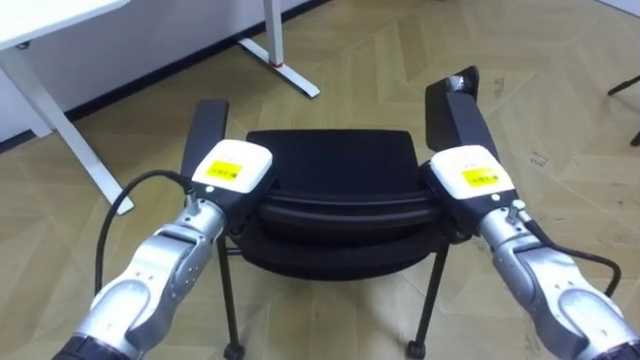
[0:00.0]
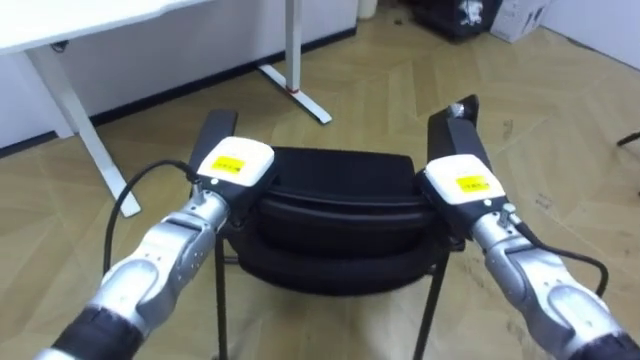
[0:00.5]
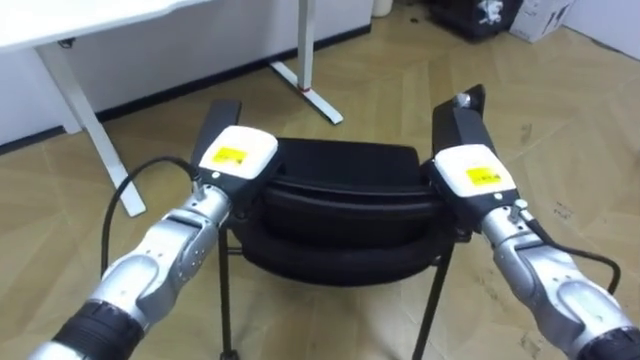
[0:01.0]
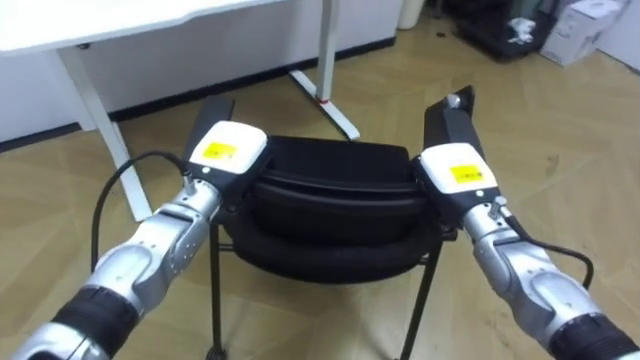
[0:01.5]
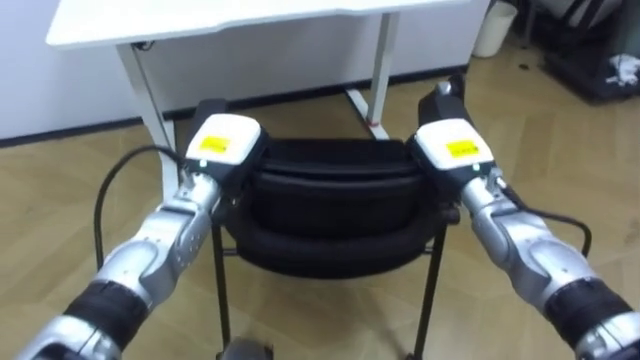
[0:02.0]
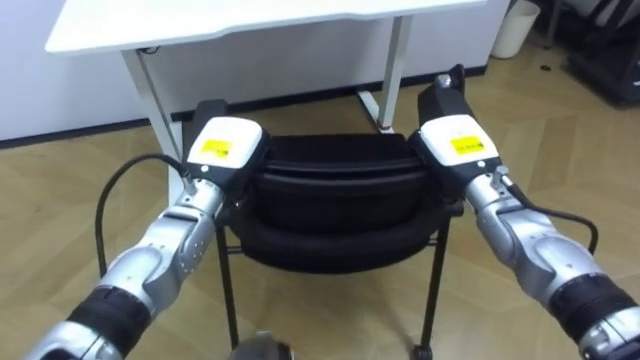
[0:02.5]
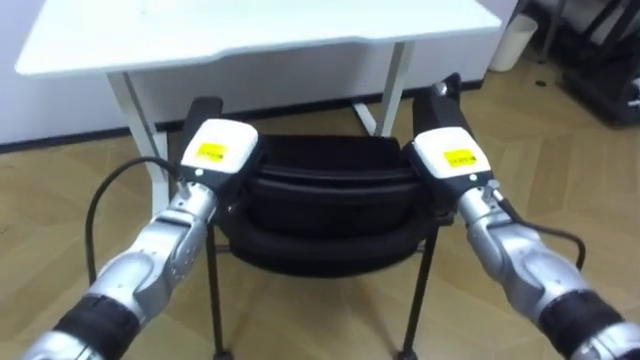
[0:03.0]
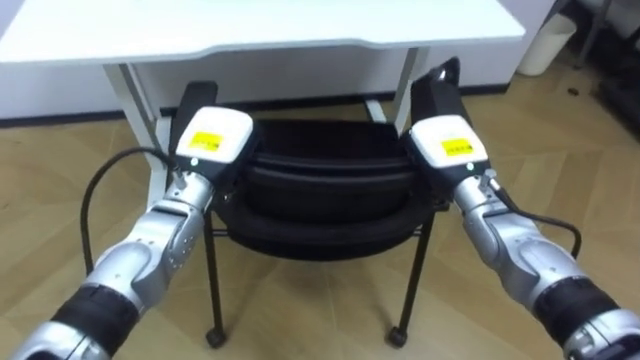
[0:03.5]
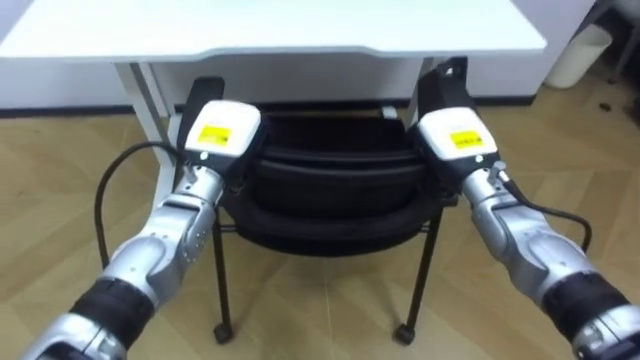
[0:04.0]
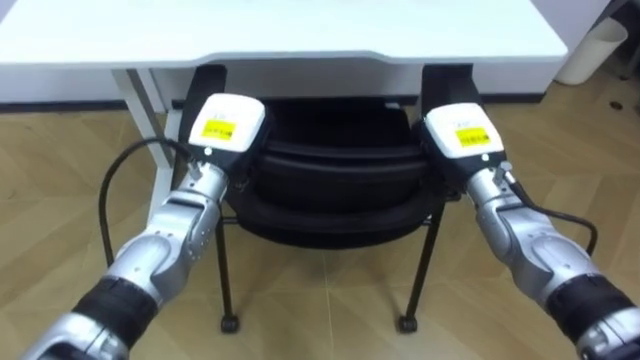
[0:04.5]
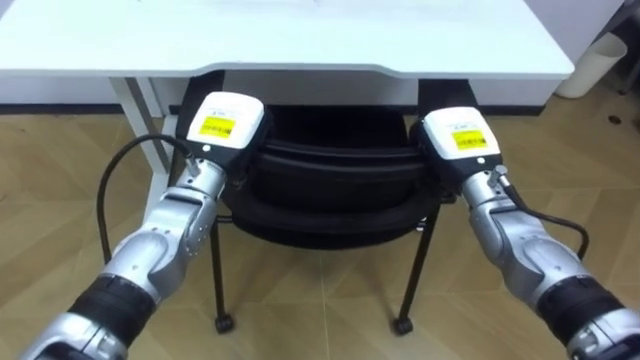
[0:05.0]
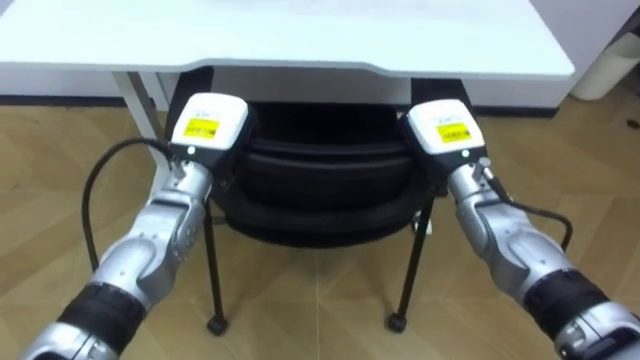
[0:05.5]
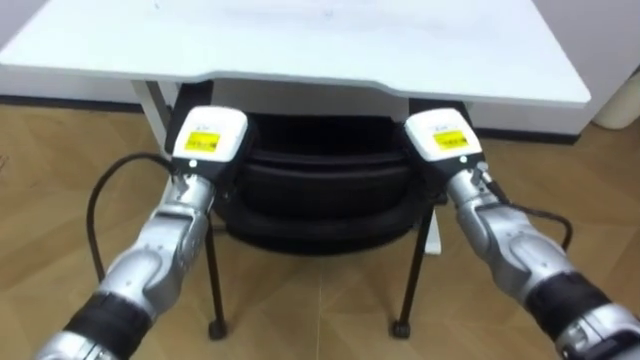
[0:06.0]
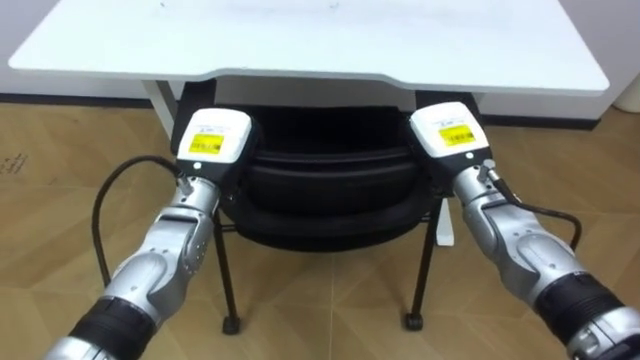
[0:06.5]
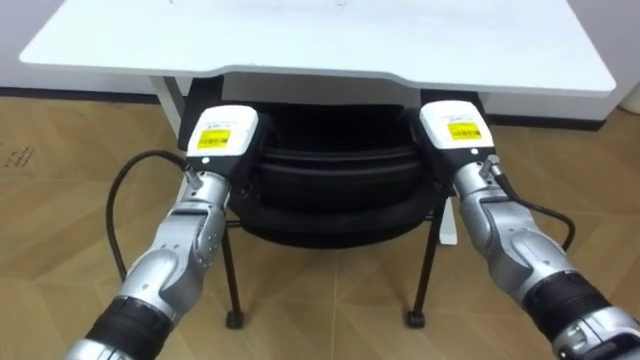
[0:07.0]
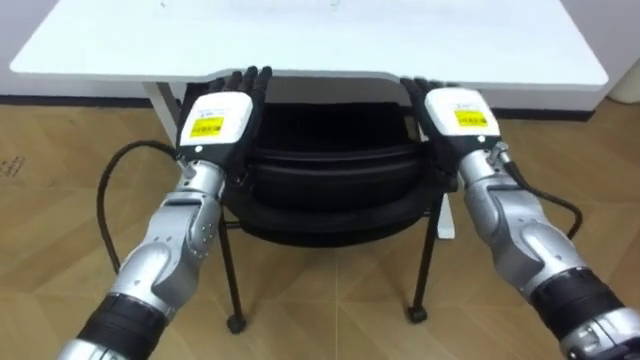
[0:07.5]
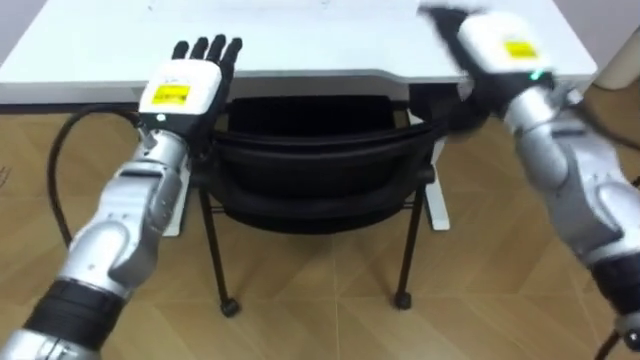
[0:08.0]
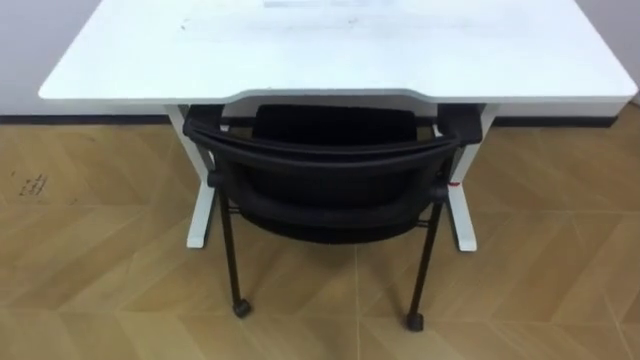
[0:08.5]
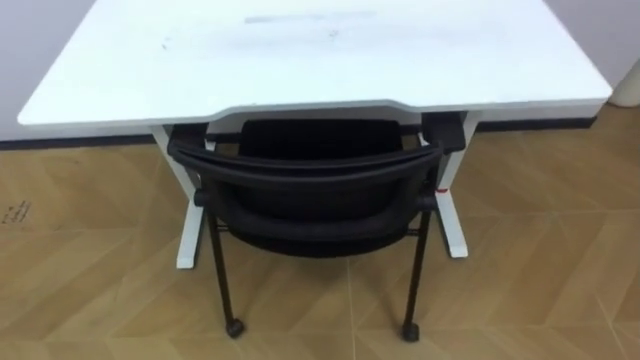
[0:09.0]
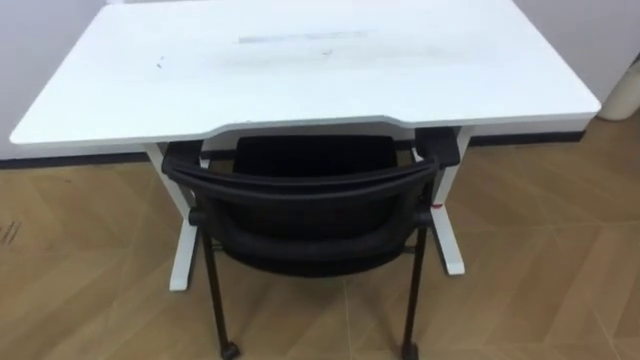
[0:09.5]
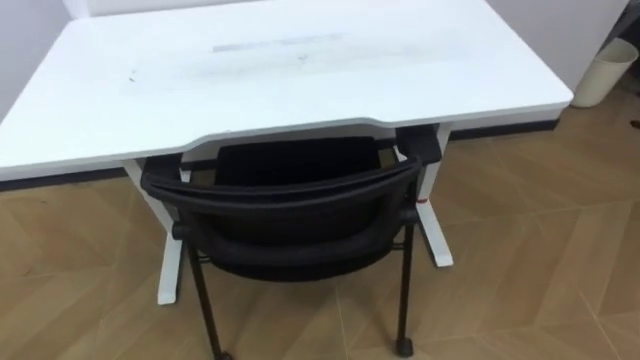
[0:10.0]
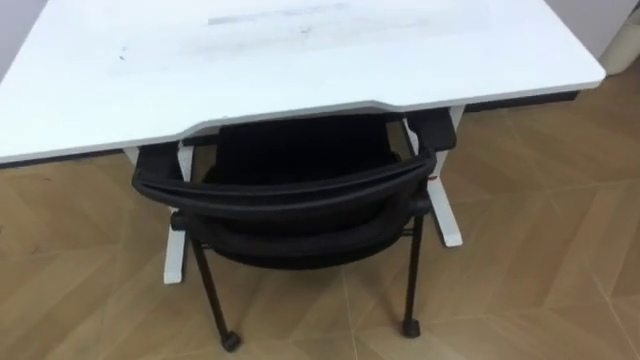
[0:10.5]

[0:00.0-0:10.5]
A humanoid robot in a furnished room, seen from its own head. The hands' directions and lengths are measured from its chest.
Task of the whole recording: Push the chair under the table.
0:00.0 to 0:02.0: The robot turns to its left by approximately 20 degrees.

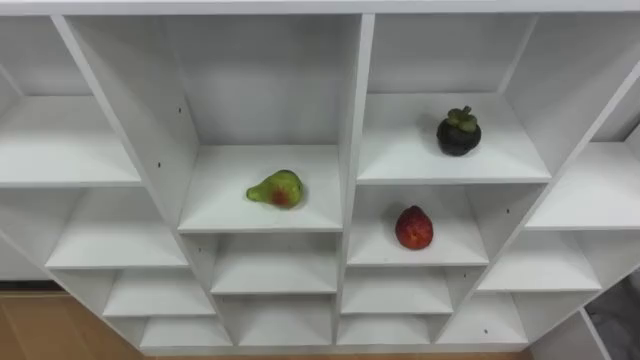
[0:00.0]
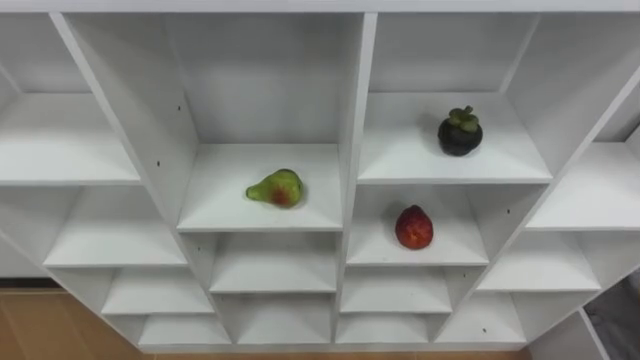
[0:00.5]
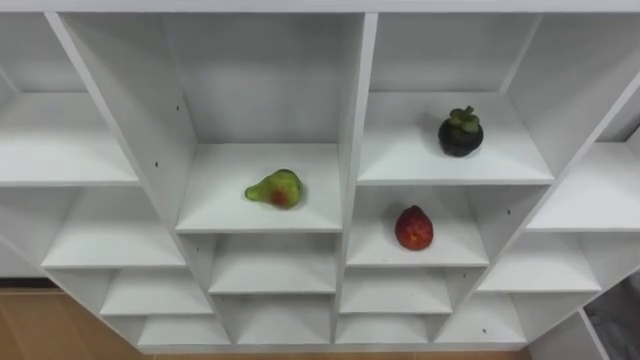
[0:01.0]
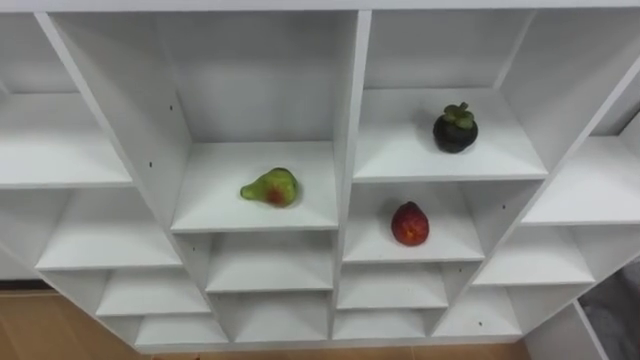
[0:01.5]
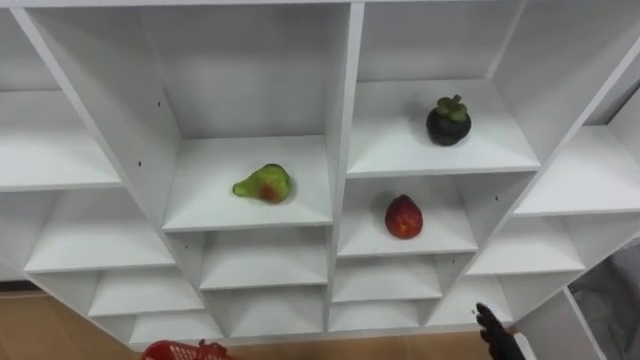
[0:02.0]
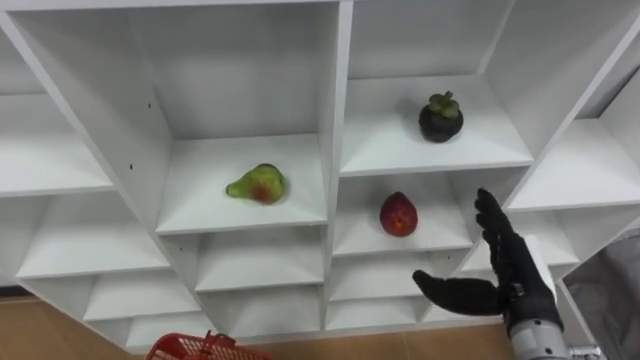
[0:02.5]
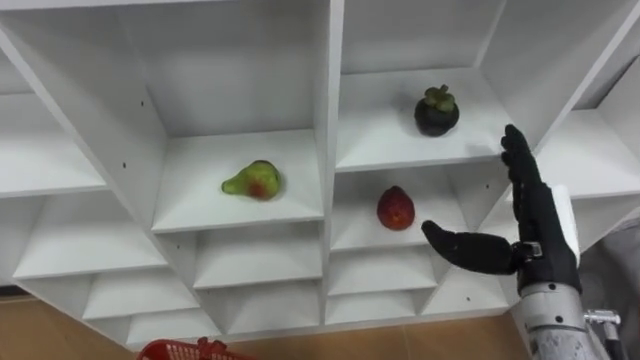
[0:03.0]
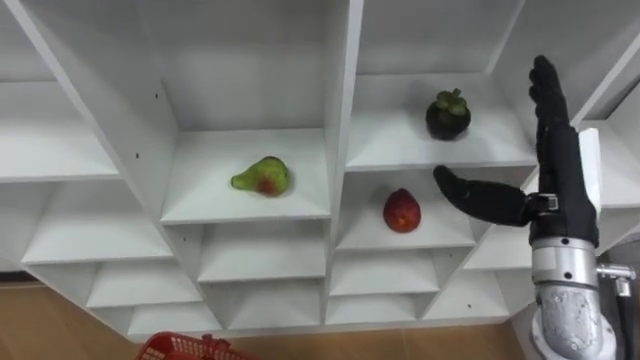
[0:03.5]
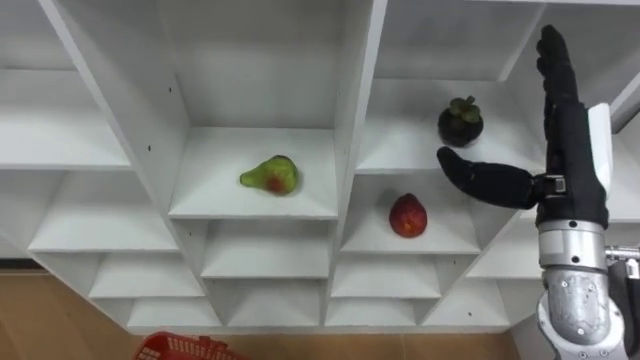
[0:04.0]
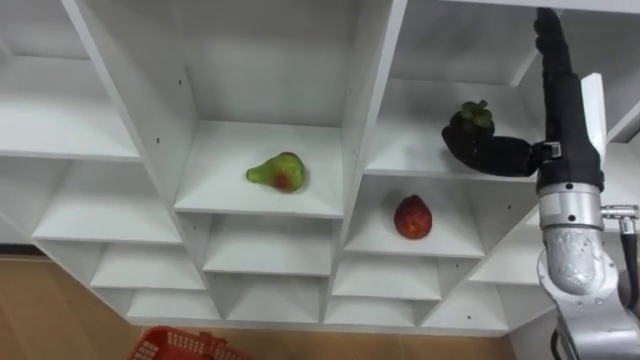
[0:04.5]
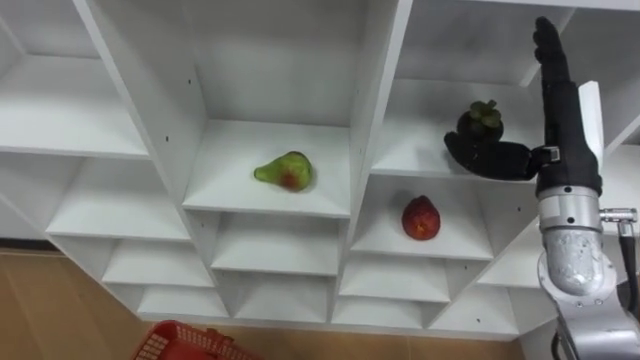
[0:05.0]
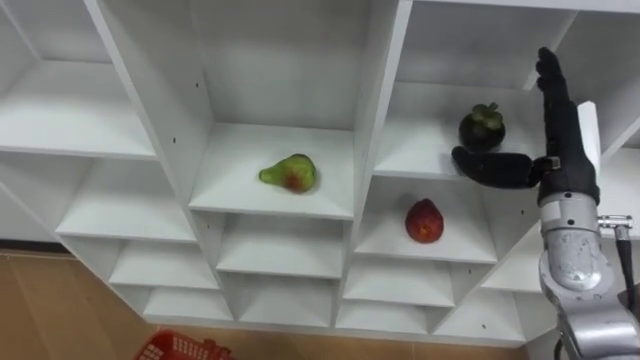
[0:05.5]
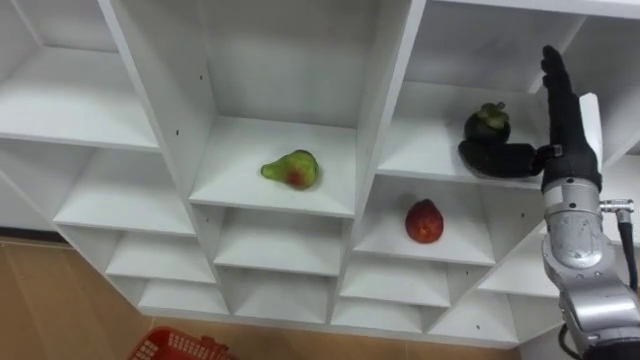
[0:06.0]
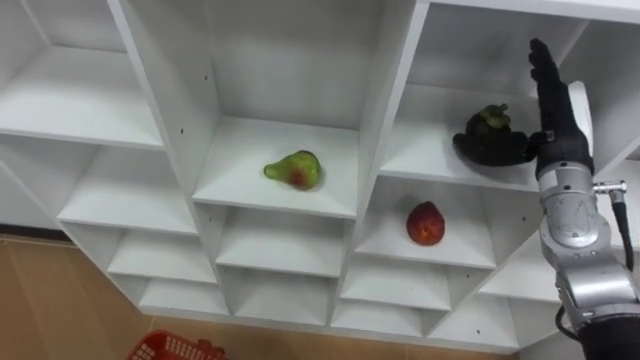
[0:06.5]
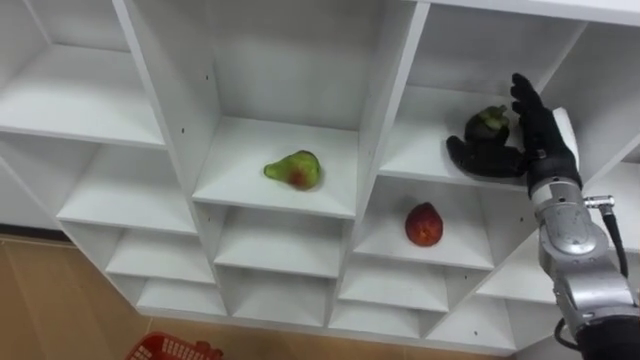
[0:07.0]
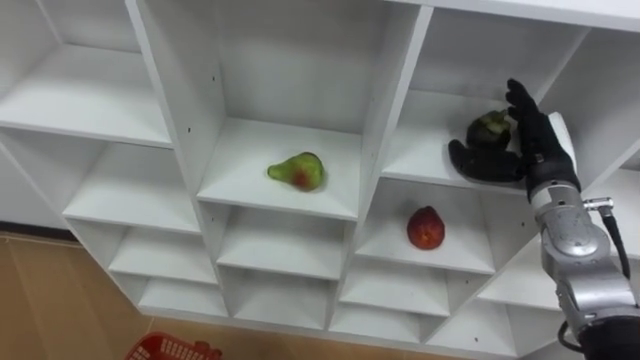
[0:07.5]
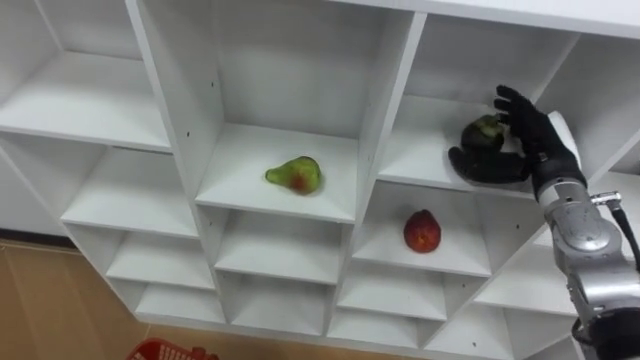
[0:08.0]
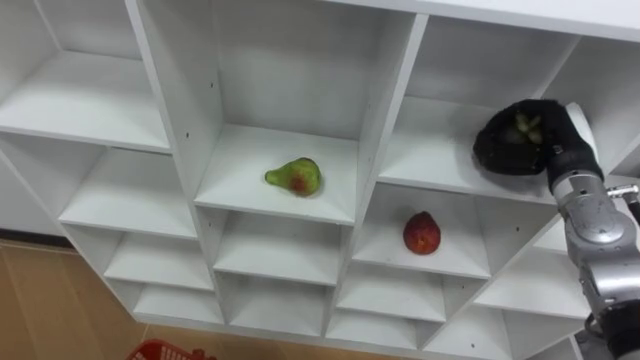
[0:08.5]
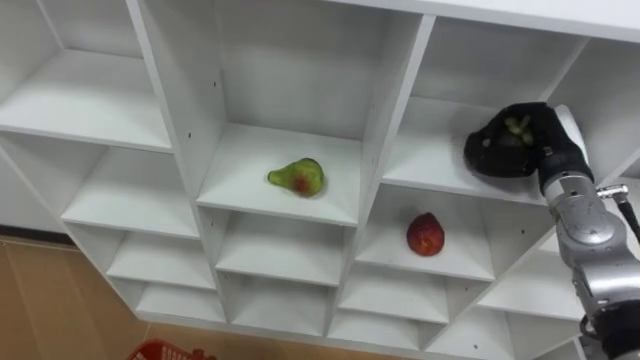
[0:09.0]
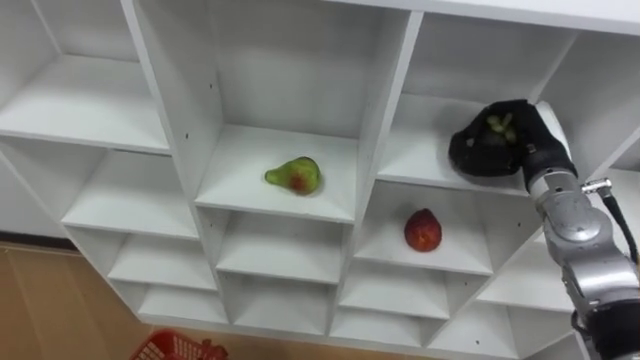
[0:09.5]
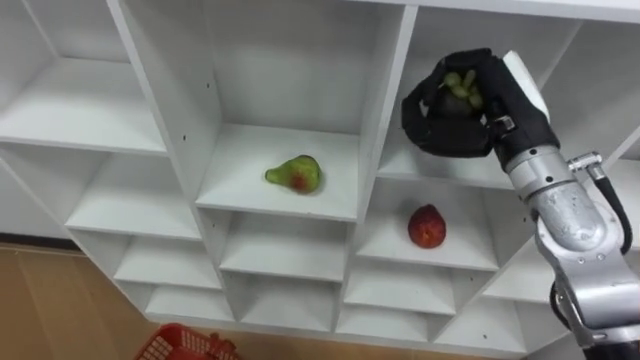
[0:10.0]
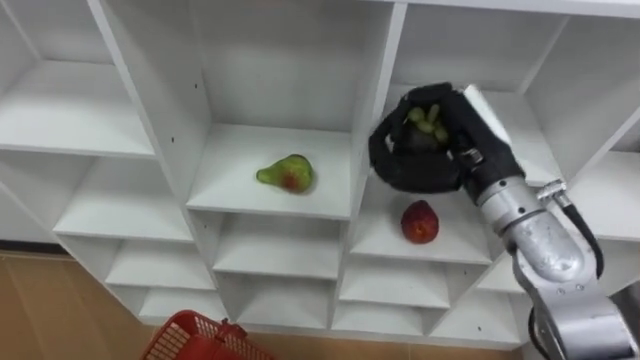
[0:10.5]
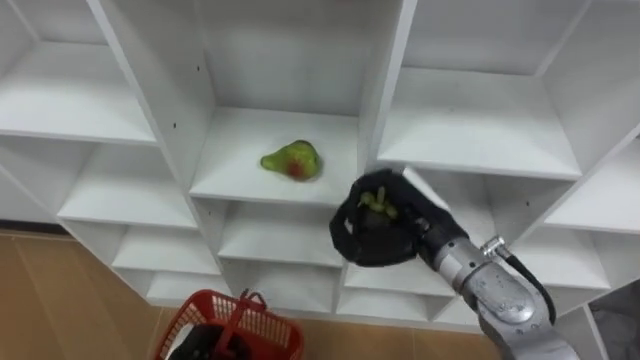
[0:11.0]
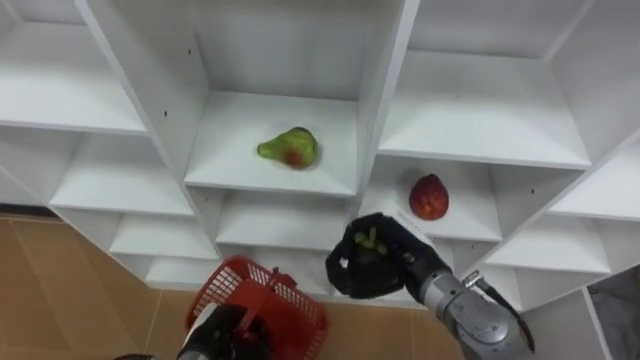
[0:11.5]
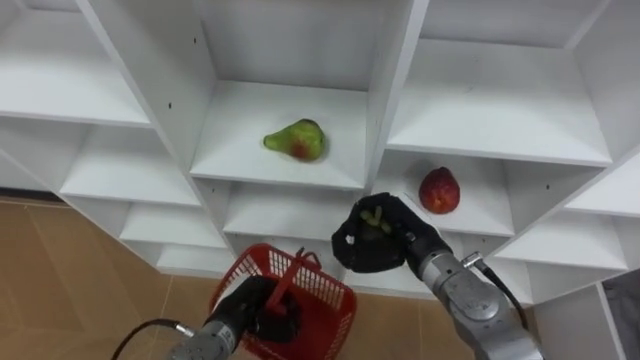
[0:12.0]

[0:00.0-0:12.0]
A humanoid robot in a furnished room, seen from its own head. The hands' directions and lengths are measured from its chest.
Task of the whole recording: Hold the basket and collect the fruits from 3 different cells of the closet into it.
0:04.0 to 0:06.0: The right hand travels forward by approximately 5 cm.
0:06.0 to 0:08.0: The right hand moves downward, roughly 5 cm.
0:08.0 to 0:10.0: The right hand moves upward and to the left, approximately 15 cm, and closes up.
0:10.0 to 0:12.0: The right hand moves downward and to the left, some 20 cm.
